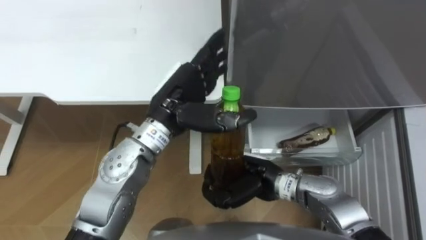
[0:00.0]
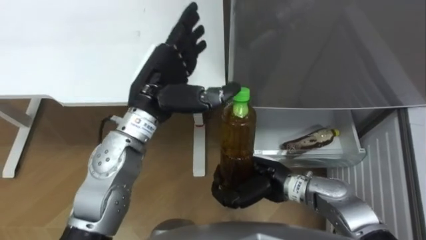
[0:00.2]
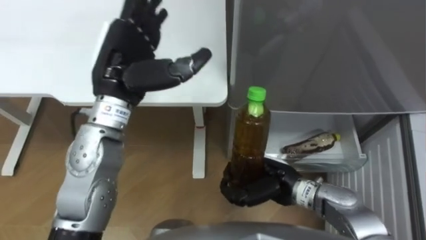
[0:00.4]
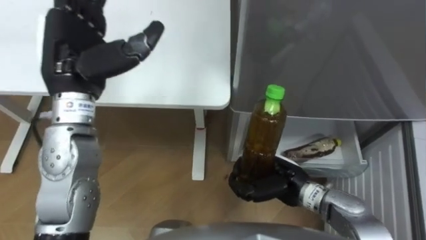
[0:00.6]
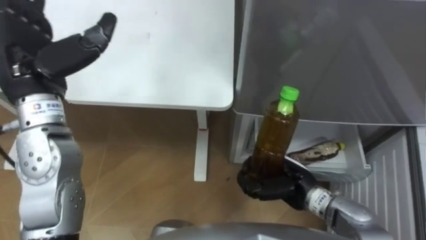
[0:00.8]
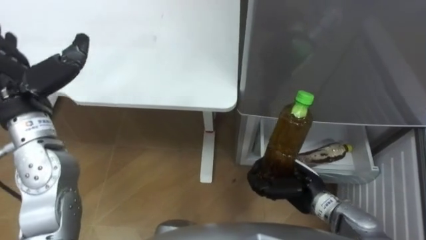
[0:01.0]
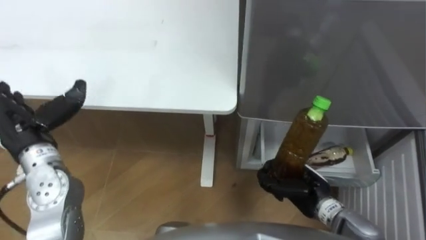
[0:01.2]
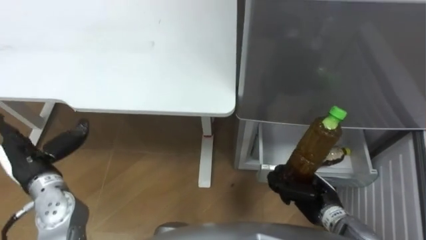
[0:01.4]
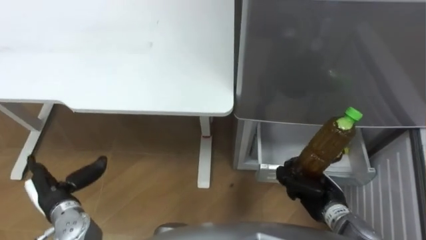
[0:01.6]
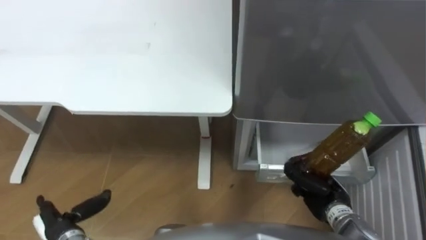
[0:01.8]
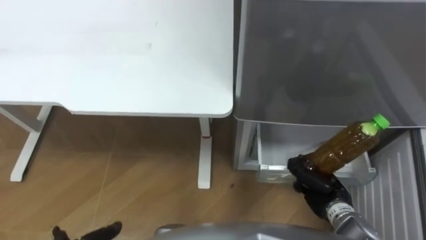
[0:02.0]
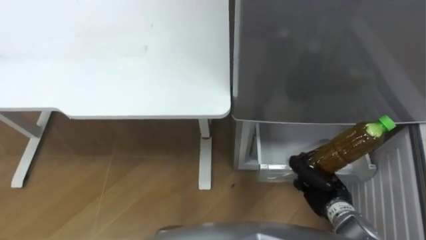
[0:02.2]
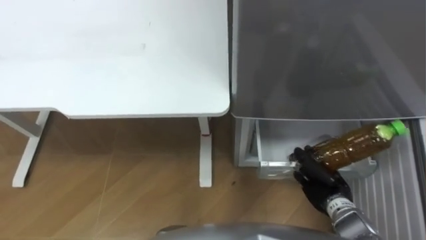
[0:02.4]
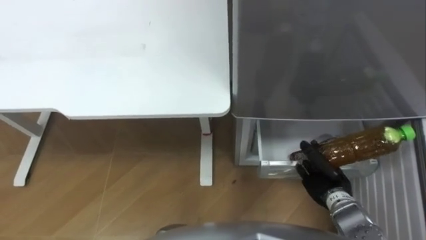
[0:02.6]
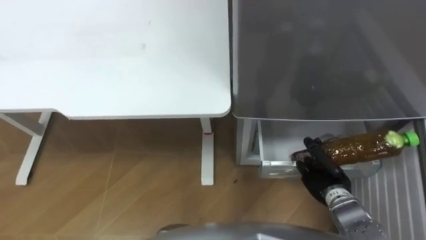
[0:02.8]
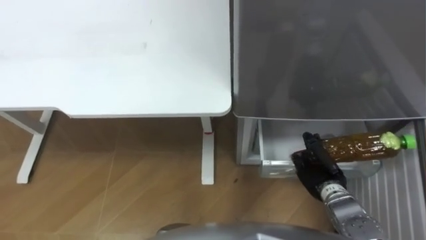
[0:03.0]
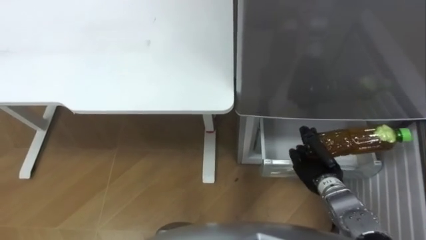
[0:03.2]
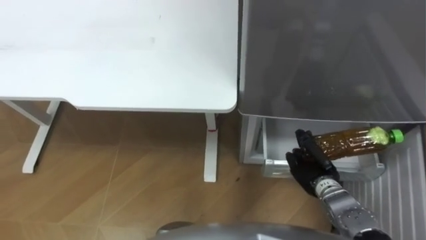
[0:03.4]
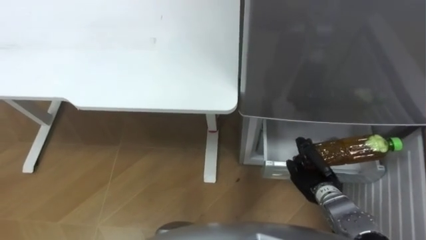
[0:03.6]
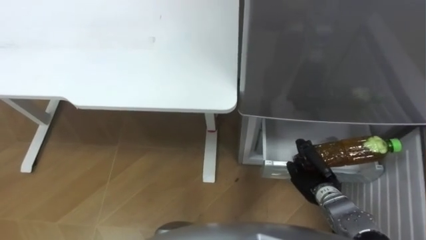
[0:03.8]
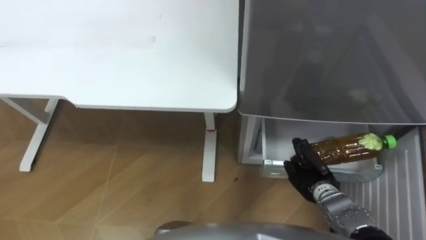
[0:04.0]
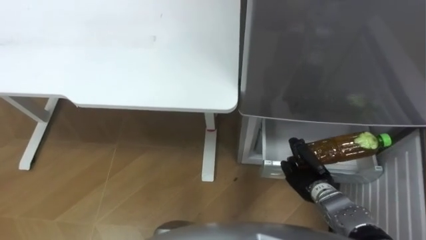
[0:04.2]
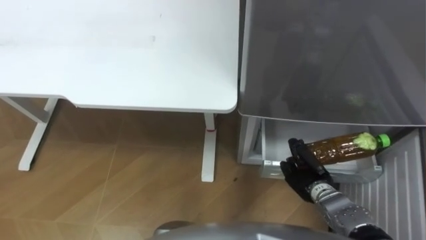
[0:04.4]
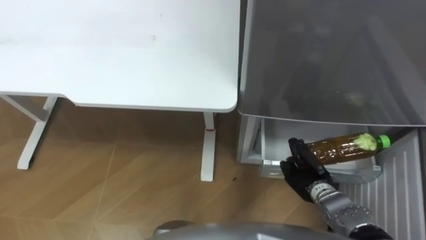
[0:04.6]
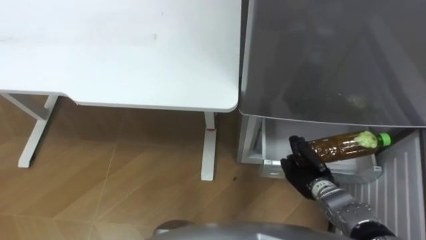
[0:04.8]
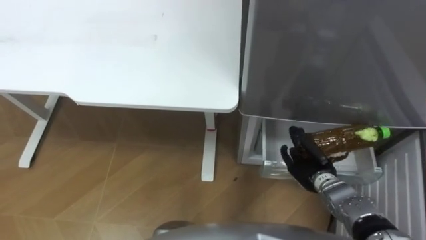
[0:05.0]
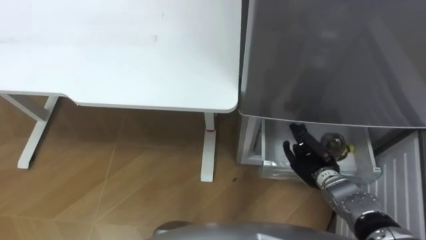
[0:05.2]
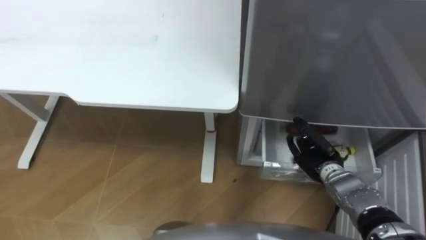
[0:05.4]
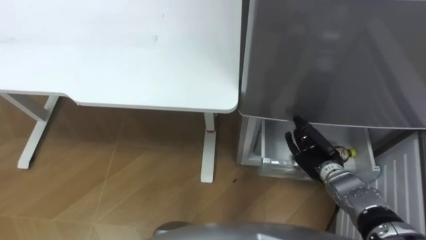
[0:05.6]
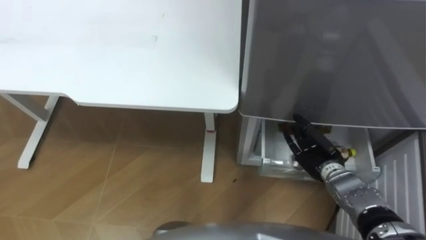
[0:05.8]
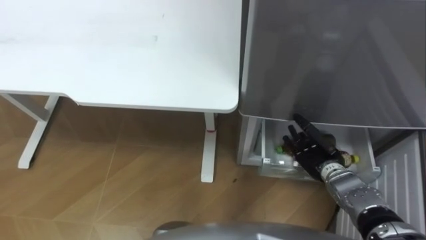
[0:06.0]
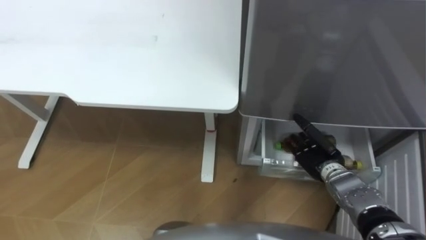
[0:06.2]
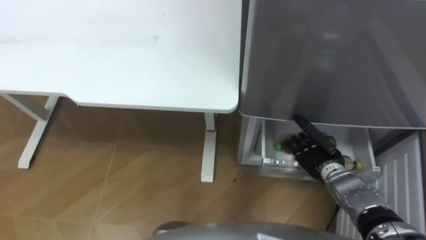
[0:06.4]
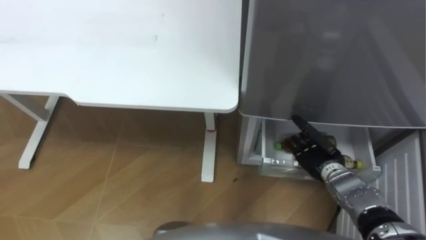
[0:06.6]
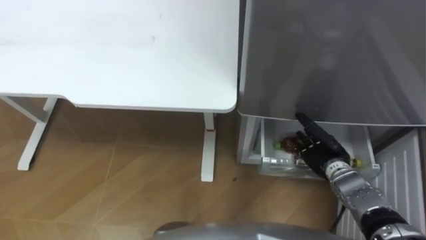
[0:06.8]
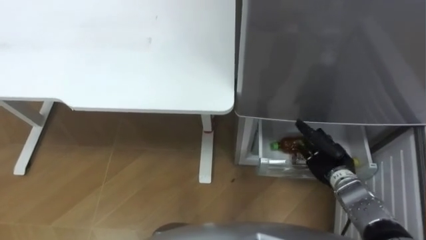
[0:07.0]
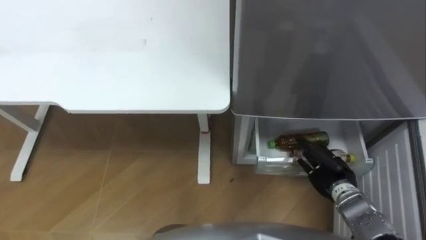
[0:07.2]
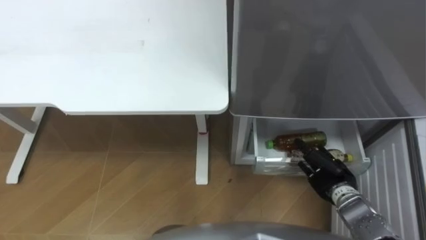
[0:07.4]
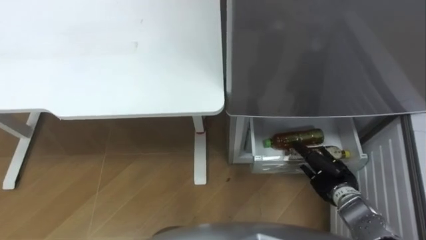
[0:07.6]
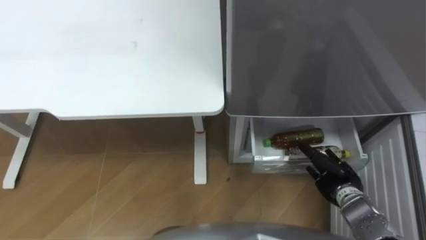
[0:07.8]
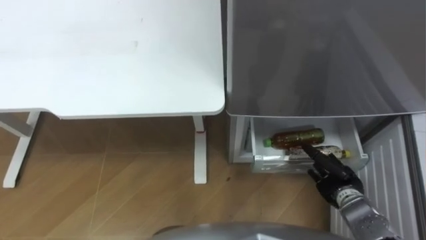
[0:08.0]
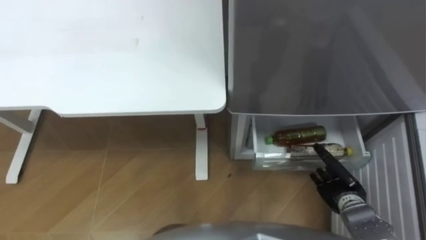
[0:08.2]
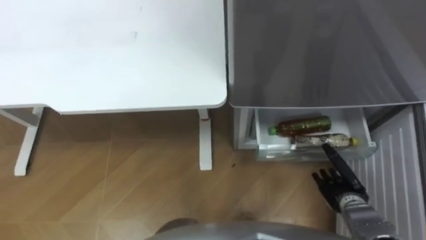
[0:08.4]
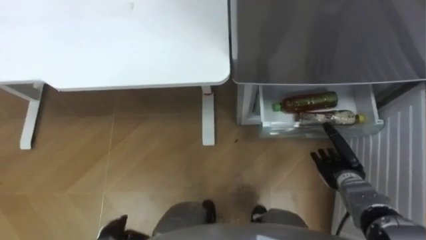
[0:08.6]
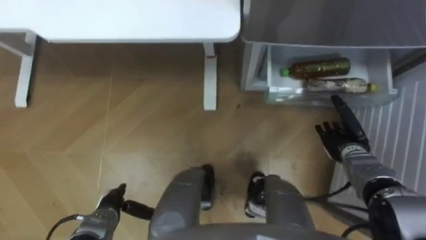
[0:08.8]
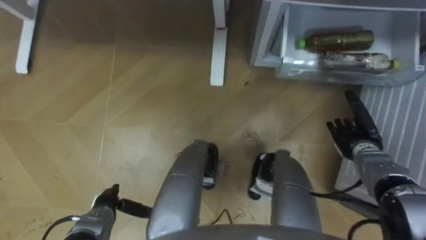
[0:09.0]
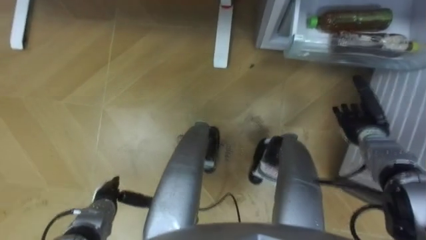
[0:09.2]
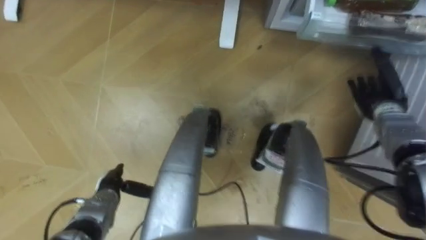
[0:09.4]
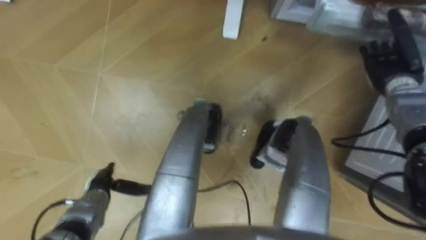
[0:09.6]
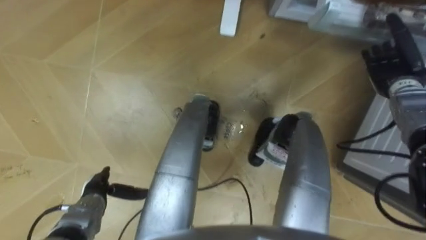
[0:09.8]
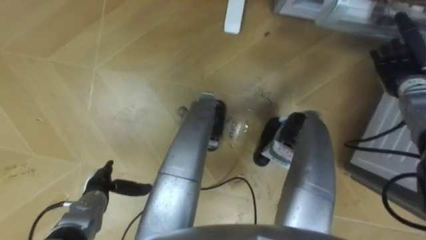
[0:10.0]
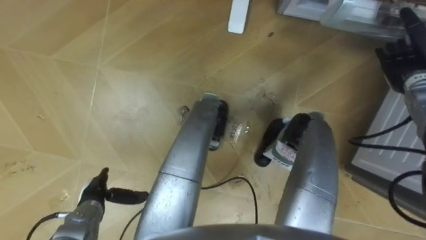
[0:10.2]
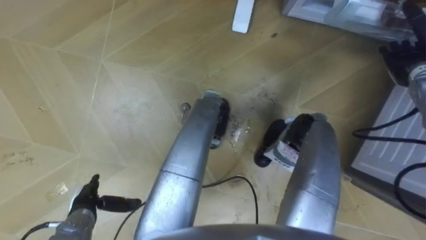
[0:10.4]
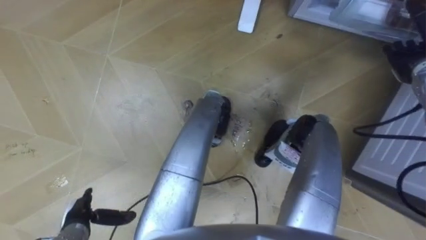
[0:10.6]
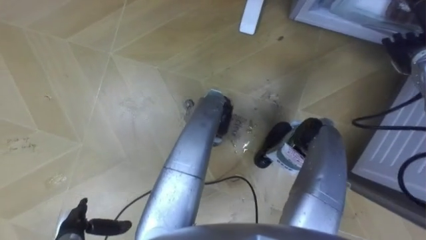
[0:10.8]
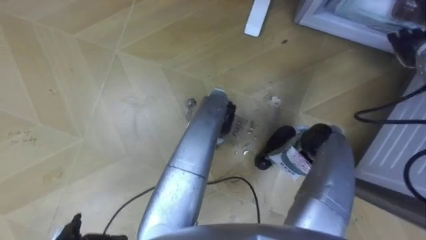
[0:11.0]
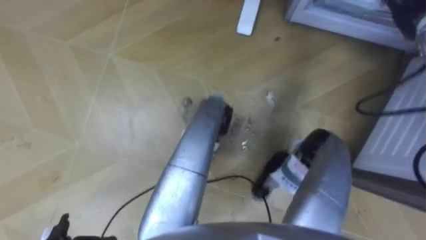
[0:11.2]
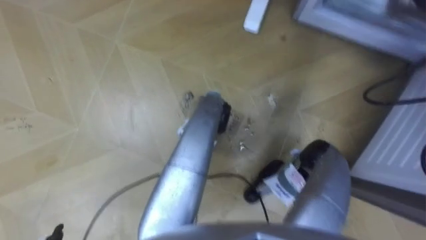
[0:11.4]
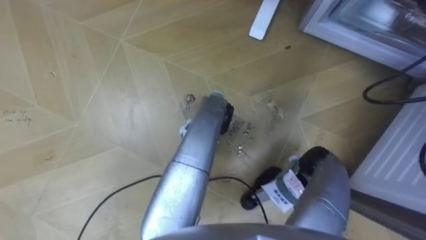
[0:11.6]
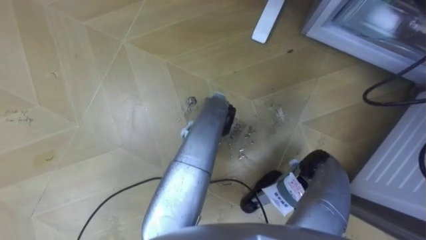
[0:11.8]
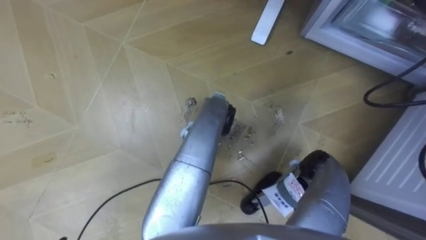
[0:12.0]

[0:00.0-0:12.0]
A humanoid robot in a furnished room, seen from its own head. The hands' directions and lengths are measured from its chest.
Task of the whole recording: Place the drink on the table on the bottom shelf of the refrigerator, then close the drawer and the refrigerator door.
0:00.0 to 0:01.6: The right hand goes roughly 15 cm to the right and downward. Meanwhile the left hand moves to the left, downward and backward, roughly 30 cm.
0:04.4 to 0:06.0: The right hand moves roughly 5 cm, and opens its fingers.
0:06.0 to 0:07.6: The right hand moves roughly 5 cm.
0:07.6 to 0:09.0: The right hand travels forward and to the right by some 10 cm.
0:09.0 to 0:10.4: The right hand is displaced upward, forward and to the right by approximately 20 cm.

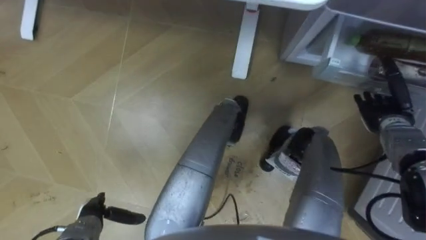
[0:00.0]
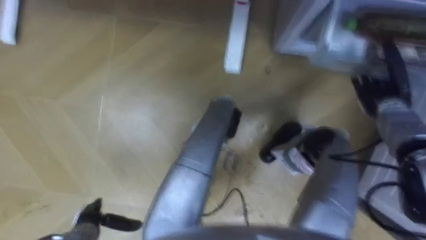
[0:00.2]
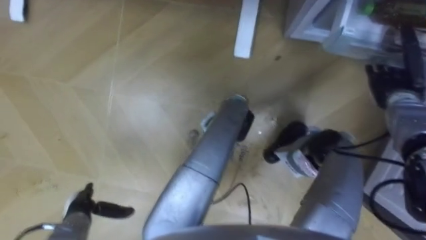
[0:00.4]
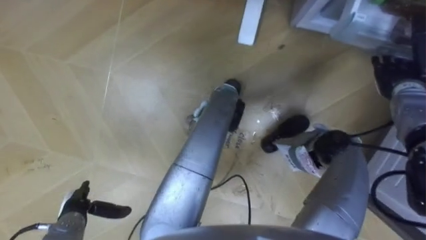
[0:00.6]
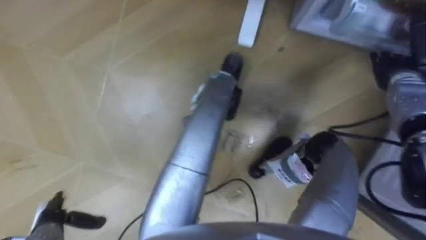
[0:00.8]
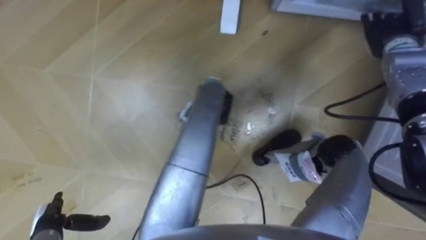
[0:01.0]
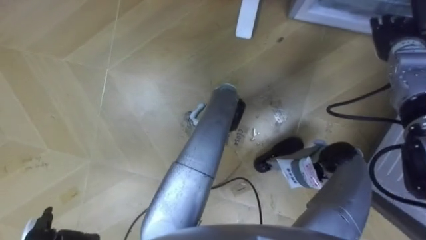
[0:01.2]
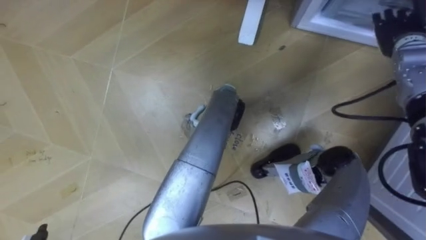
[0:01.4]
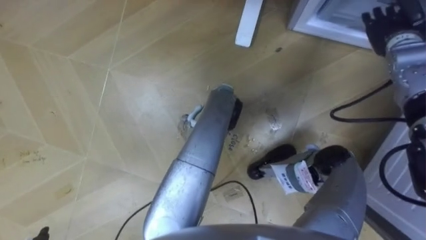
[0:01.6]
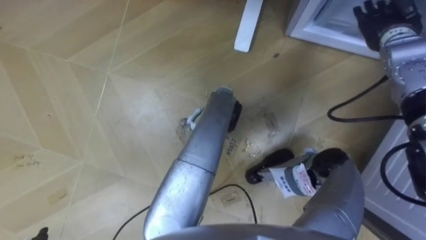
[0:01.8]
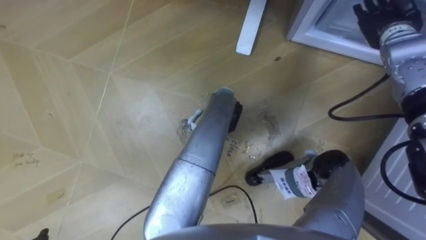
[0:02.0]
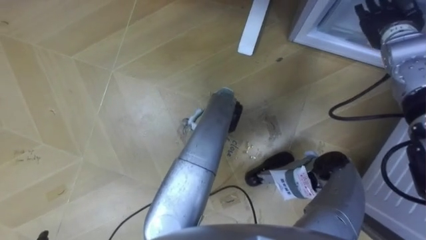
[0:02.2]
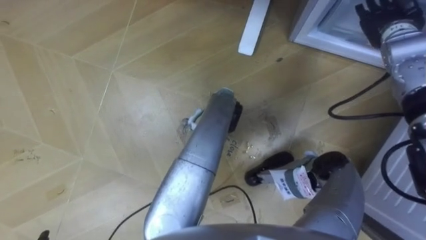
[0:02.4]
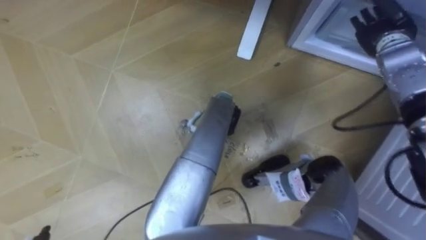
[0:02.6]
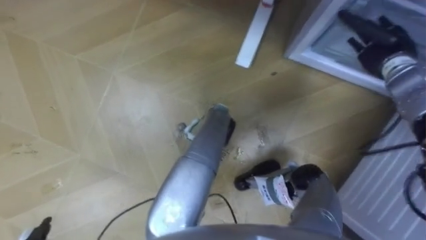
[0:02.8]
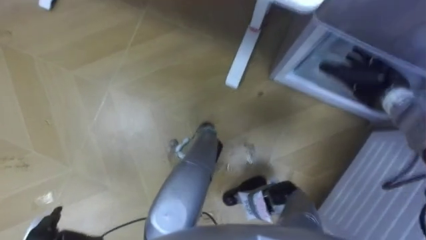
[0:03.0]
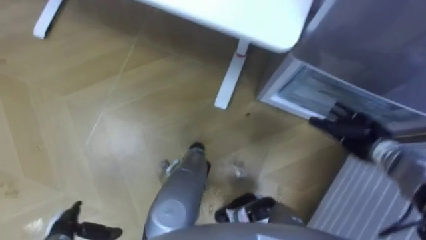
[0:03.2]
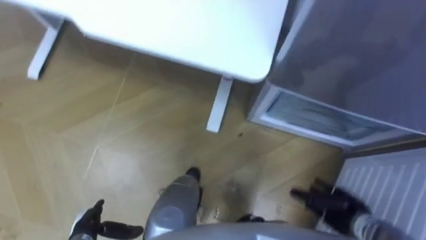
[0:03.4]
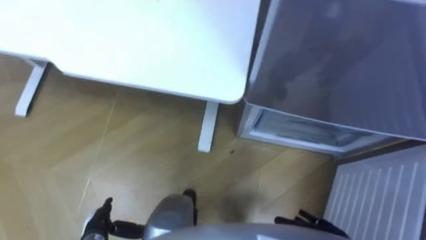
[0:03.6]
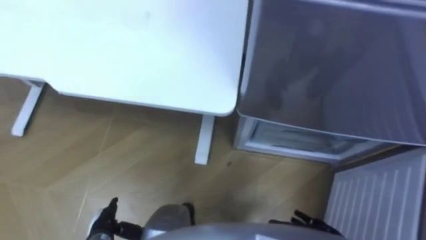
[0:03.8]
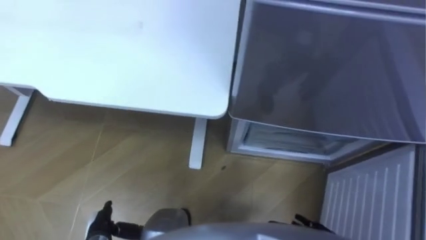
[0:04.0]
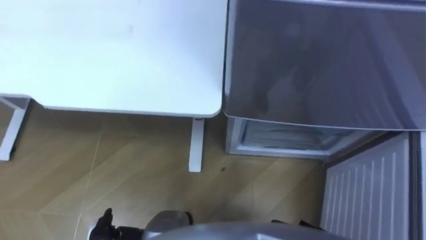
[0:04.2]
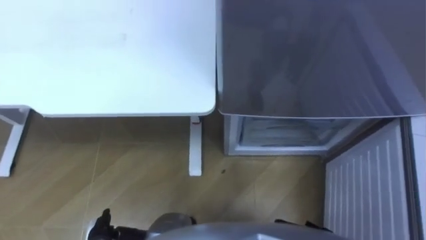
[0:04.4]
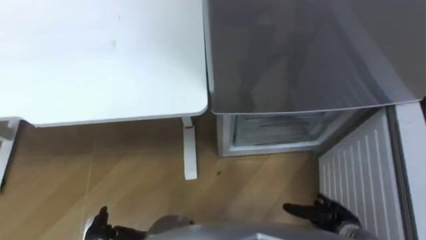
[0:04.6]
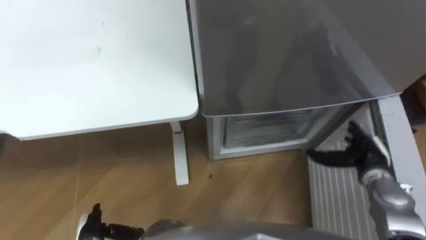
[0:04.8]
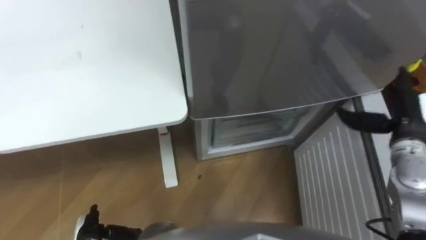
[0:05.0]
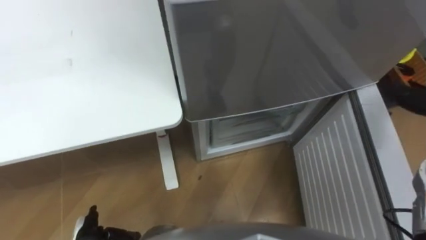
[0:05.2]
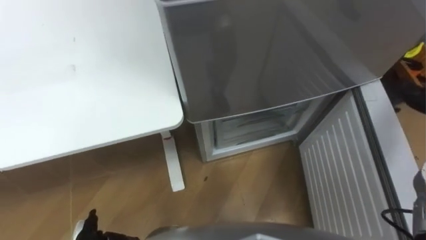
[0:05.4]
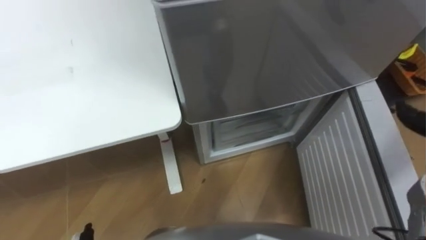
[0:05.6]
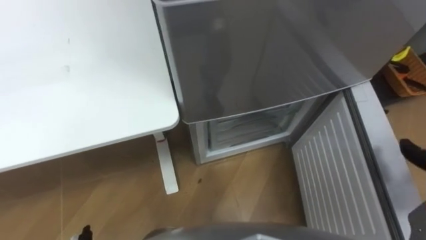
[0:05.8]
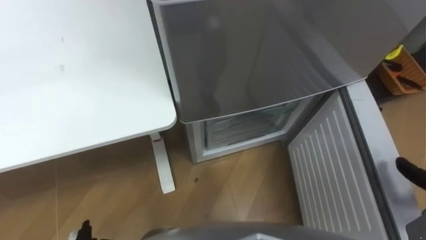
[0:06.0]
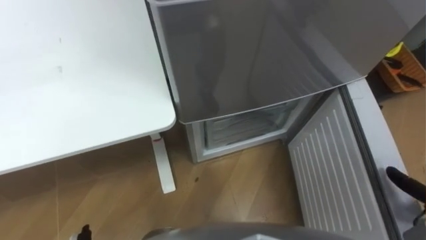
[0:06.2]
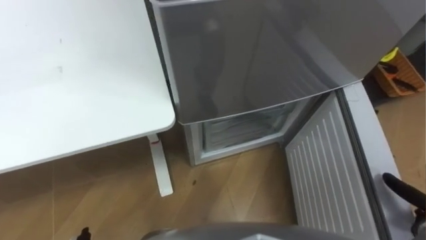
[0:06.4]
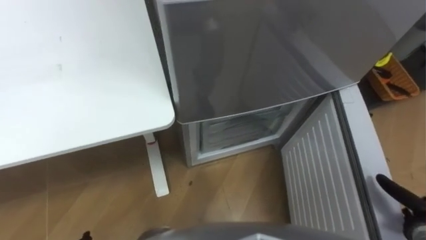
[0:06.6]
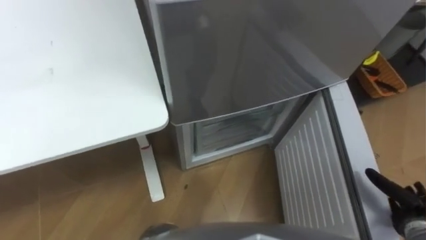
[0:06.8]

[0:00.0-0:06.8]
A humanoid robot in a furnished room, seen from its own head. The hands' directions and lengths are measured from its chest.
Task of the whole recording: Place the drink on the table on the bottom shelf of the refrigerator, then close the drawer and the refrigerator door.
0:00.0 to 0:01.4: The right hand moves upward and forward, some 15 cm.
